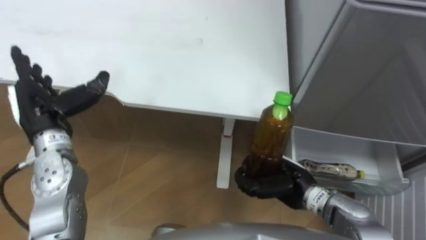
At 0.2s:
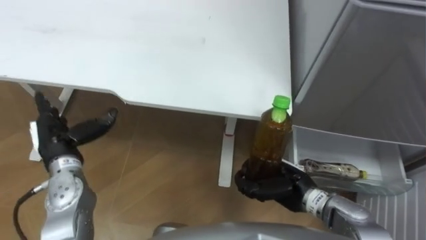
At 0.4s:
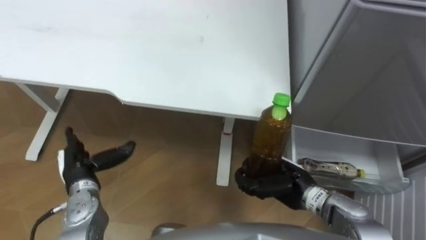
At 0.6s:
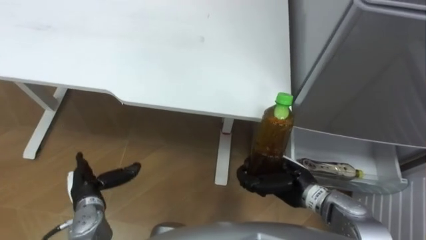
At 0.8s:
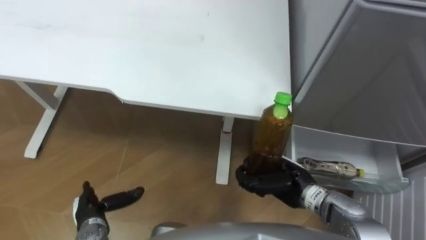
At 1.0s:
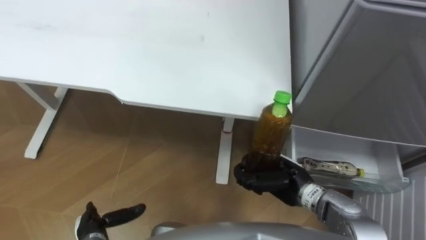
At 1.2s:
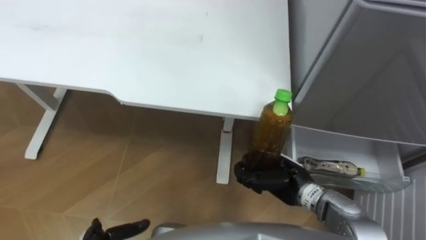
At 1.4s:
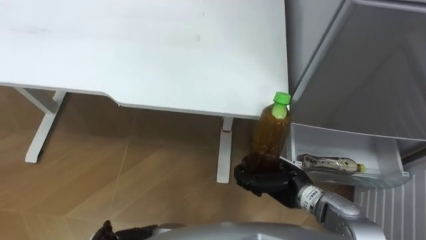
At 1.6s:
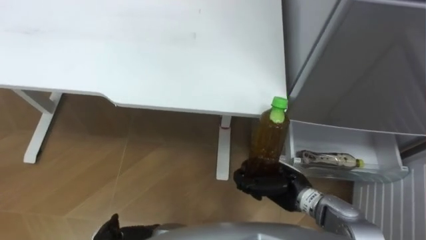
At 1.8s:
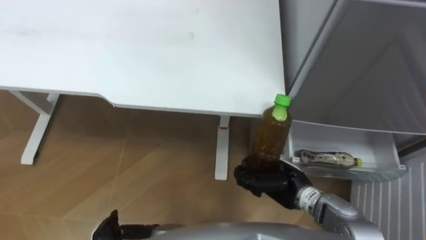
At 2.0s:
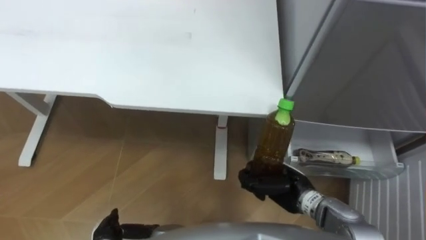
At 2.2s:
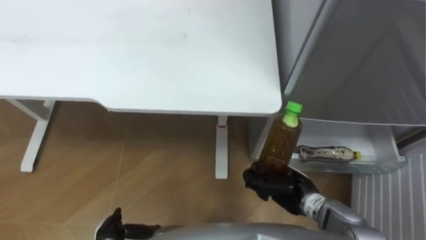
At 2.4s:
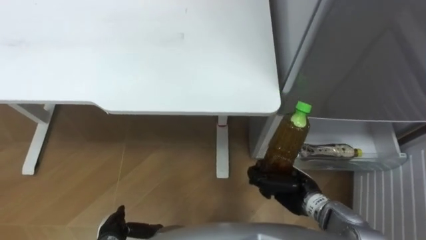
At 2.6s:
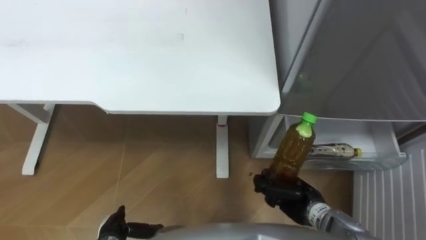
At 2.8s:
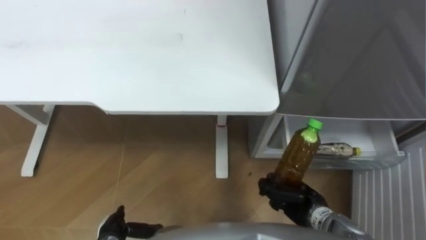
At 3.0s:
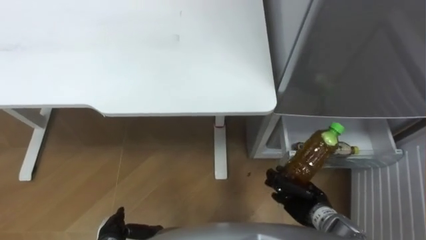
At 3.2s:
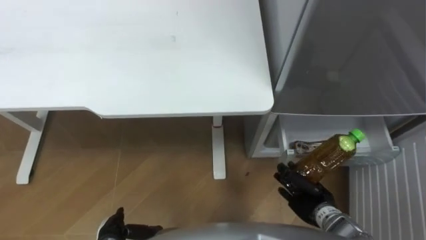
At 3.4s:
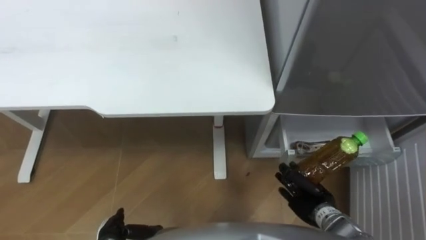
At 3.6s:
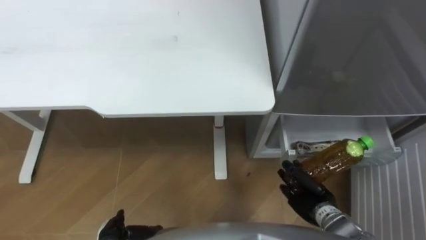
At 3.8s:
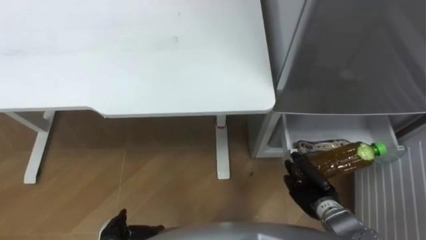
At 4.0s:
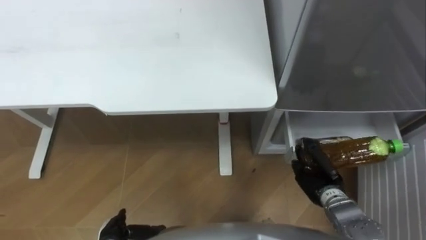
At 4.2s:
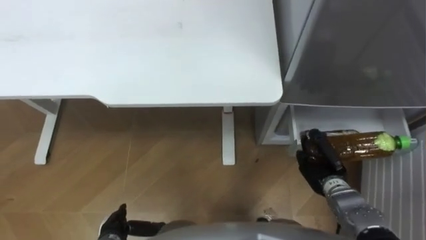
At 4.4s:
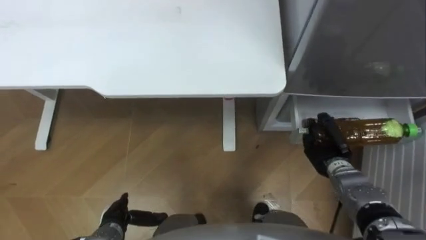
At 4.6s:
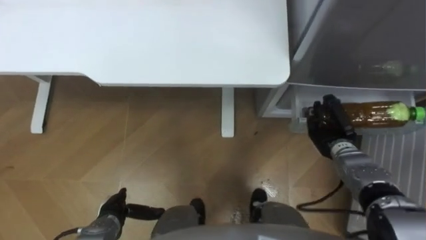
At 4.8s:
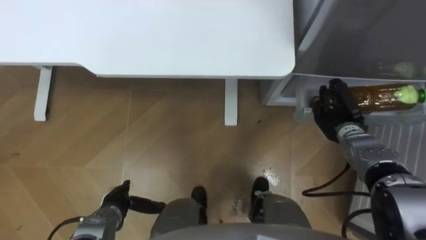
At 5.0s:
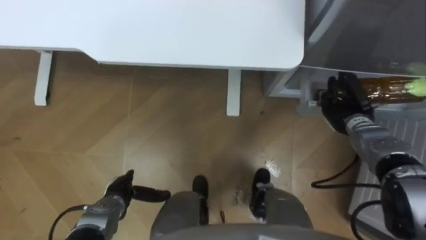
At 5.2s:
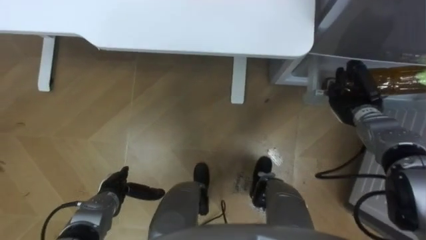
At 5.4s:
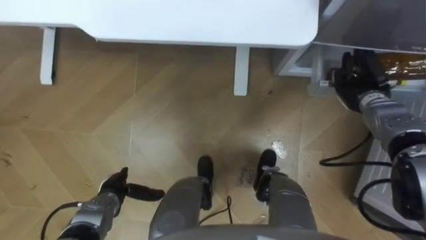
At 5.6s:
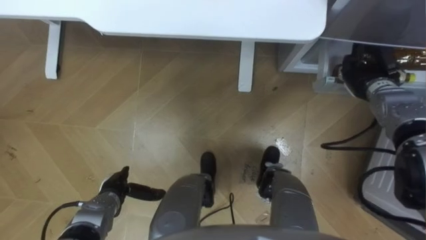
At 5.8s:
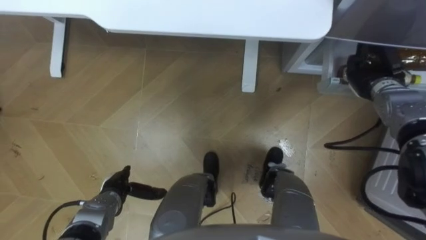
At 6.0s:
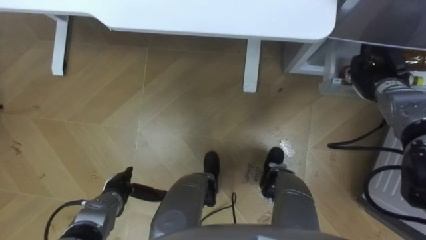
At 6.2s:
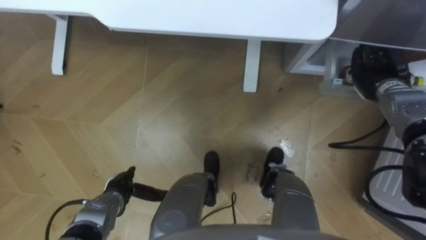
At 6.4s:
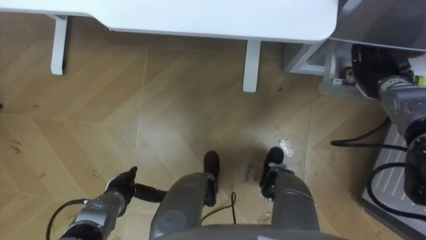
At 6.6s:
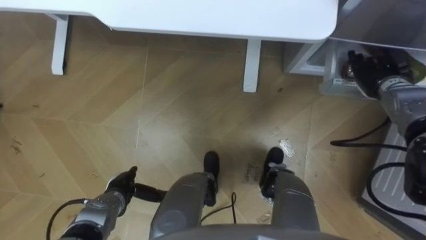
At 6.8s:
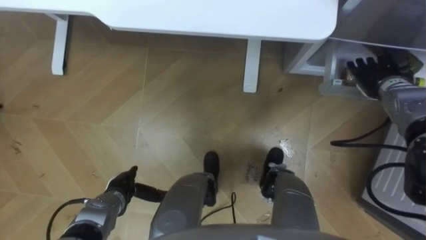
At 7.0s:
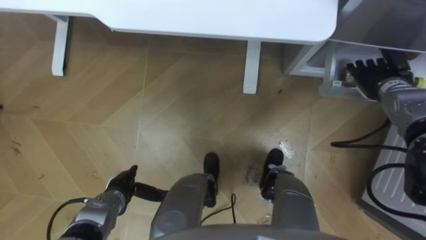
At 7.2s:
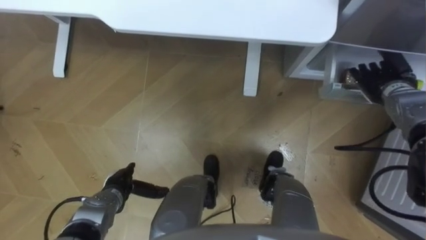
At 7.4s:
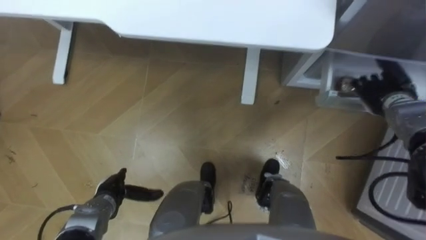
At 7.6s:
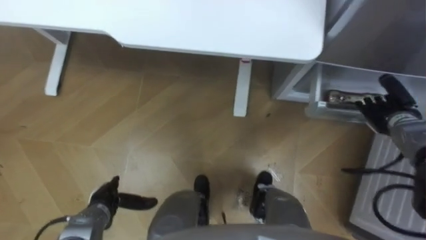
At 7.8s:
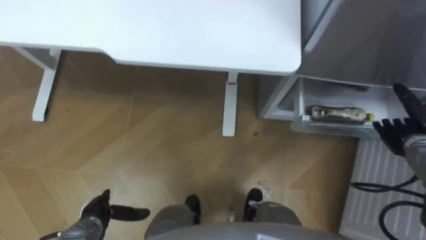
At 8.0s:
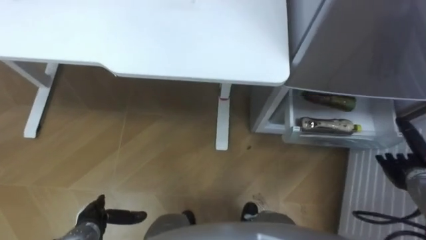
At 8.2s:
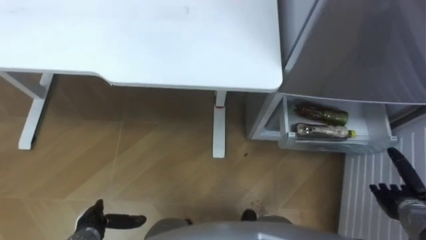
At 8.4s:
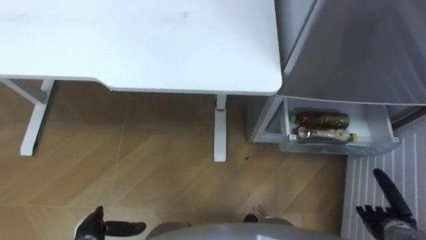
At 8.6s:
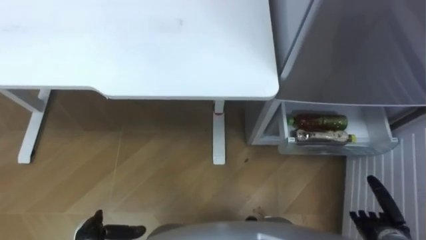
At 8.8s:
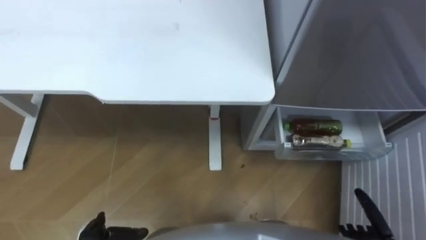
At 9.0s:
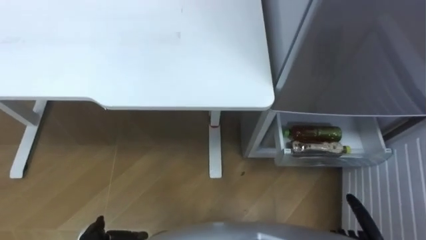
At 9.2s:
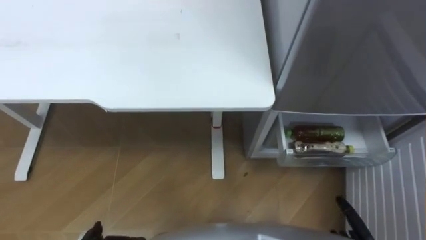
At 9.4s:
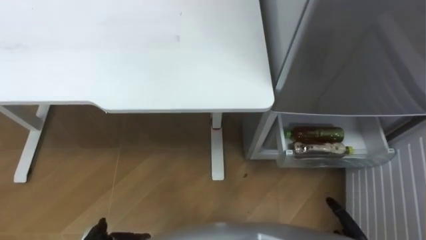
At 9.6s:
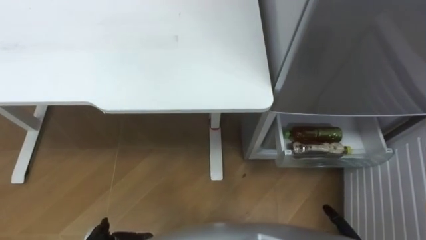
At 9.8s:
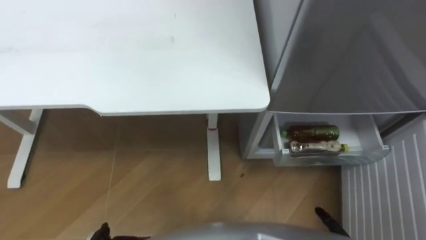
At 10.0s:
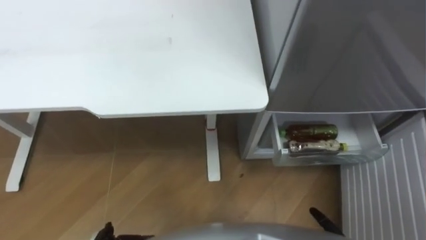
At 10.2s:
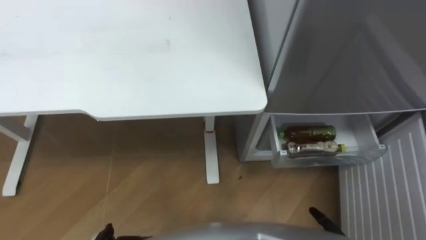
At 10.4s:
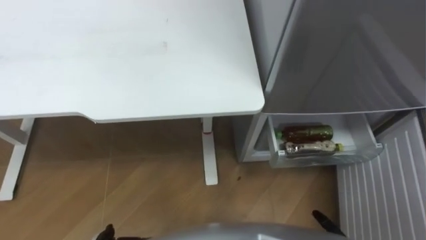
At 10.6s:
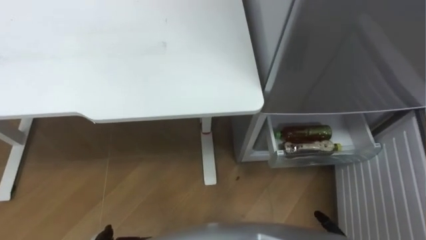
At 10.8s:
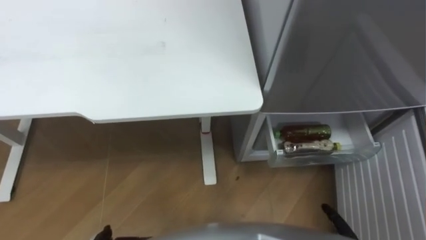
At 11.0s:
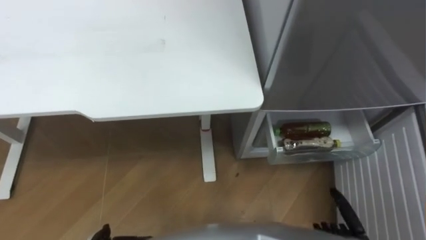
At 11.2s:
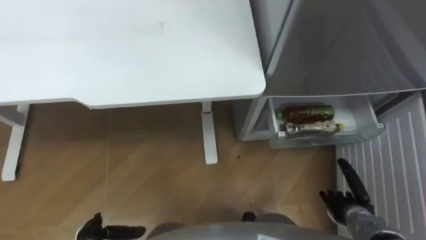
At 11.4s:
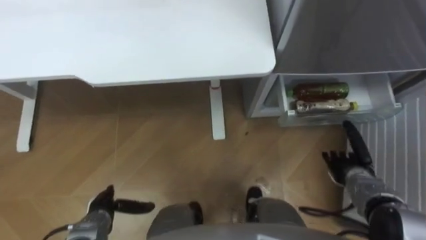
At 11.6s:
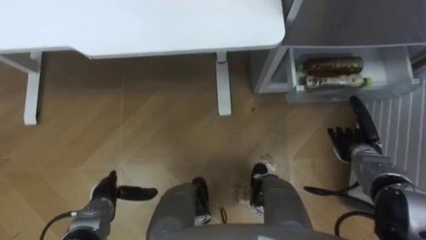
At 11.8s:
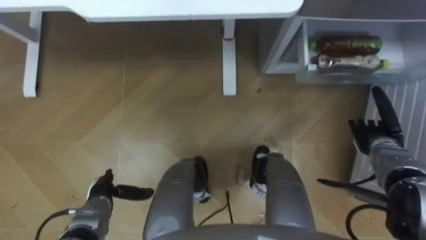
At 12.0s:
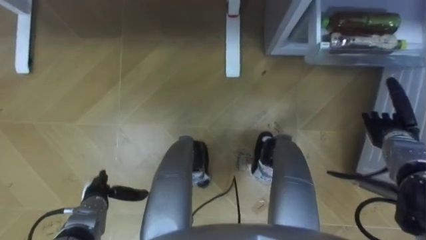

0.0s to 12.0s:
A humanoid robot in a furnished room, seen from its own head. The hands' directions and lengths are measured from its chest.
Task of the whole recording: Place the drink on the table on the bottom shelf of the refrigerator, then close the drawer and the refrigerator door.
1.6s to 3.0s: The right hand heads to the right, covering approximately 5 cm.
3.0s to 4.4s: The right hand goes some 10 cm forward and to the right.
4.4s to 6.0s: The left hand travels forward by approximately 5 cm. Meanwhile the right hand is displaced forward, upward and to the right by roughly 20 cm.
6.0s to 7.6s: The right hand shifts by about 5 cm, and opens up.

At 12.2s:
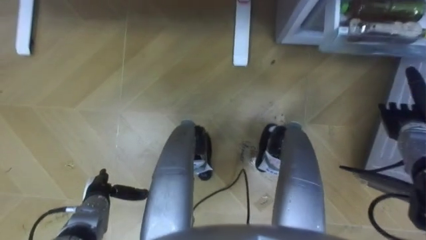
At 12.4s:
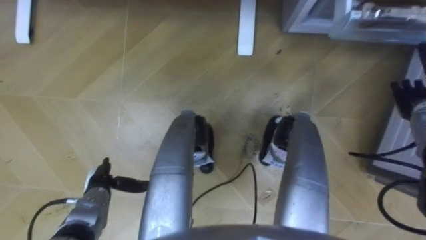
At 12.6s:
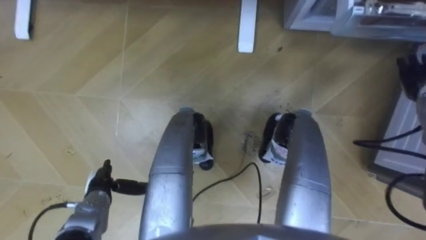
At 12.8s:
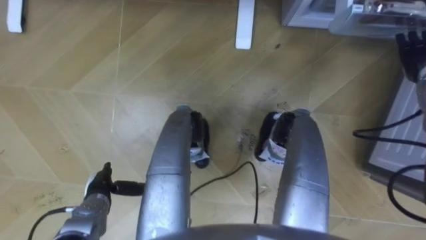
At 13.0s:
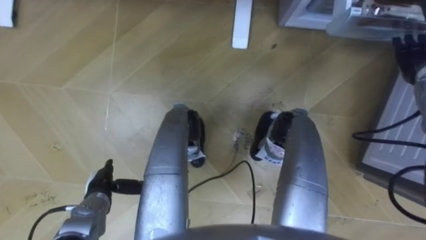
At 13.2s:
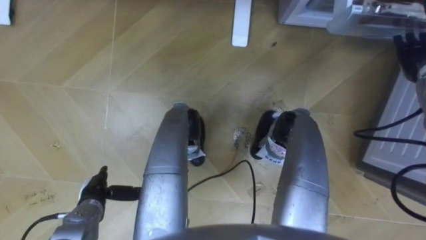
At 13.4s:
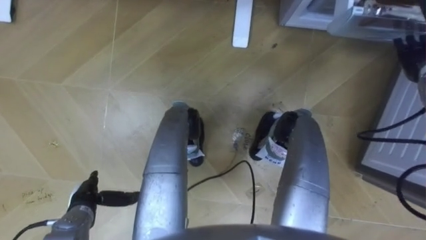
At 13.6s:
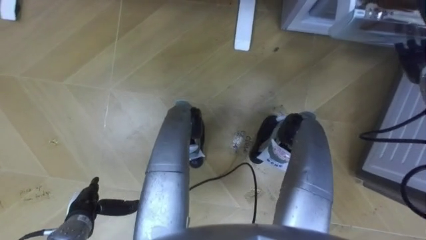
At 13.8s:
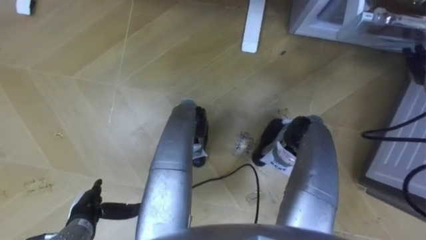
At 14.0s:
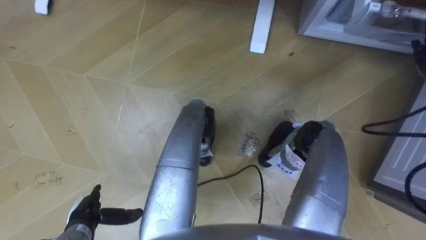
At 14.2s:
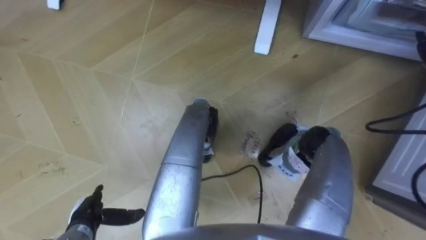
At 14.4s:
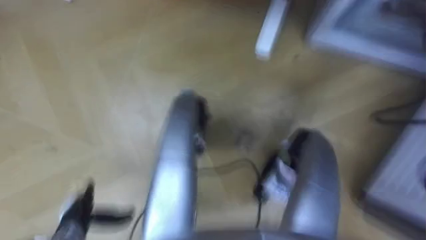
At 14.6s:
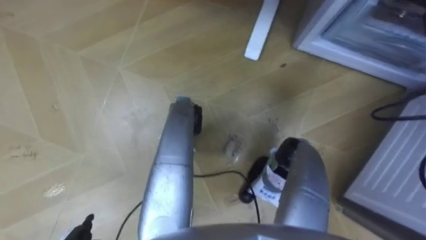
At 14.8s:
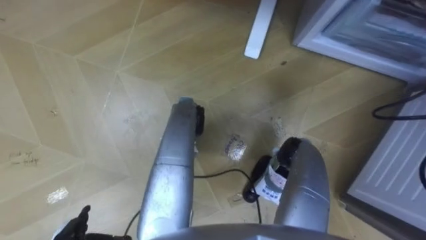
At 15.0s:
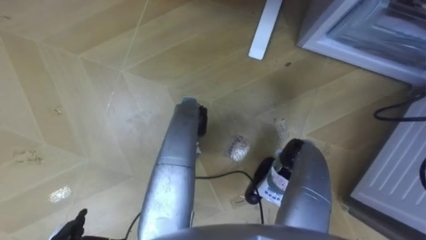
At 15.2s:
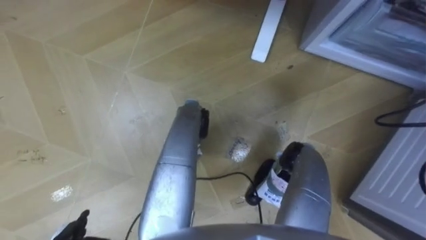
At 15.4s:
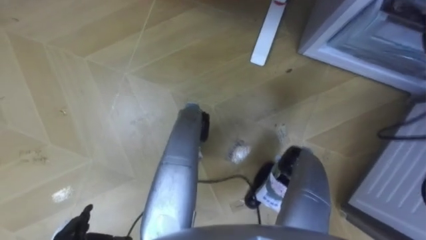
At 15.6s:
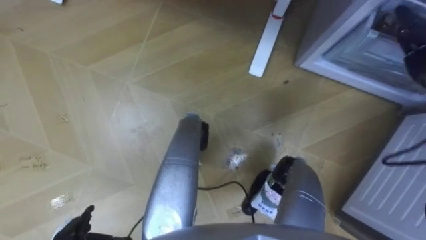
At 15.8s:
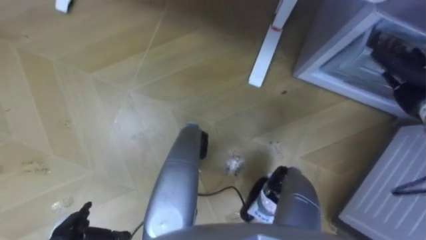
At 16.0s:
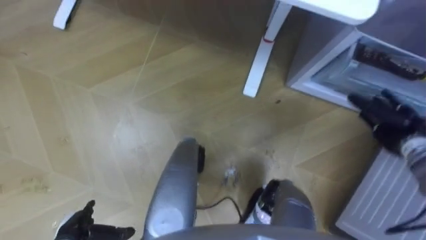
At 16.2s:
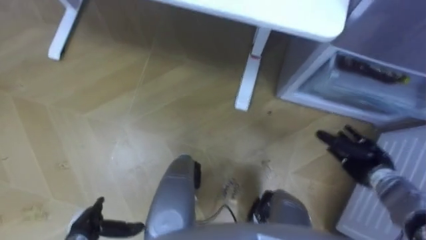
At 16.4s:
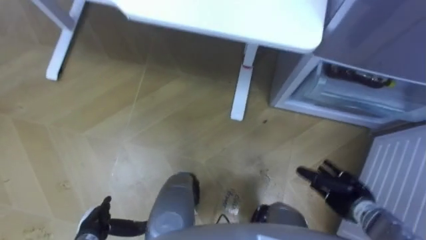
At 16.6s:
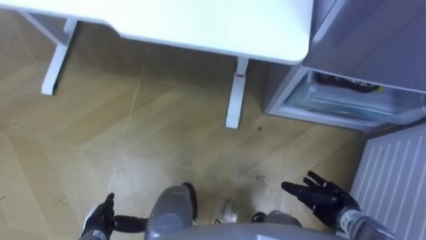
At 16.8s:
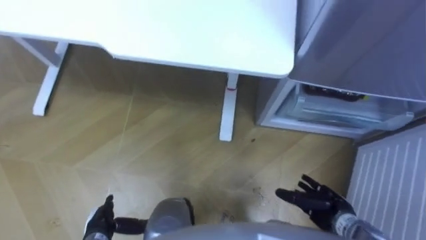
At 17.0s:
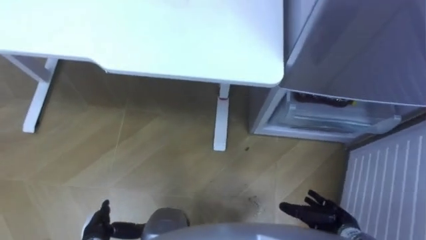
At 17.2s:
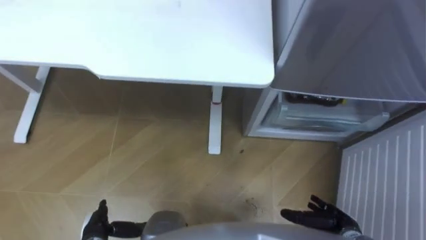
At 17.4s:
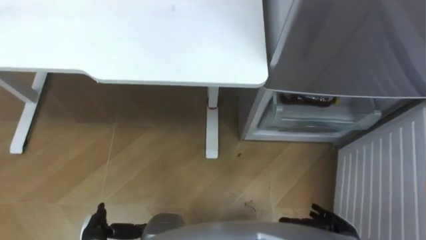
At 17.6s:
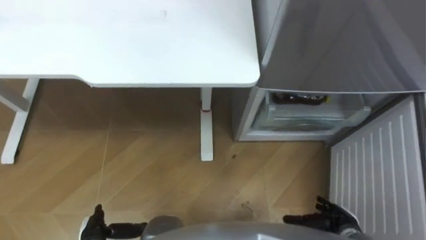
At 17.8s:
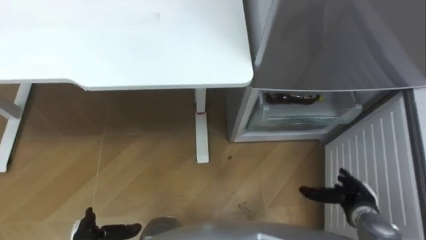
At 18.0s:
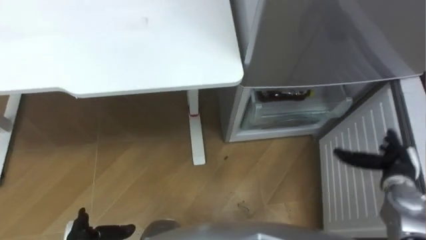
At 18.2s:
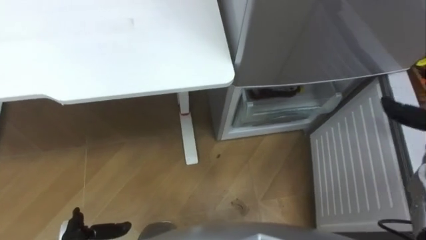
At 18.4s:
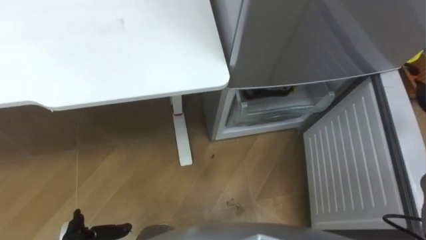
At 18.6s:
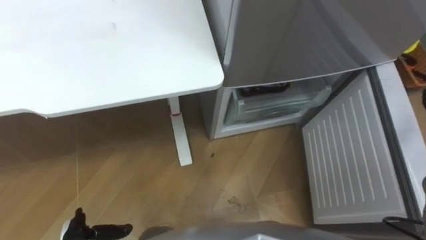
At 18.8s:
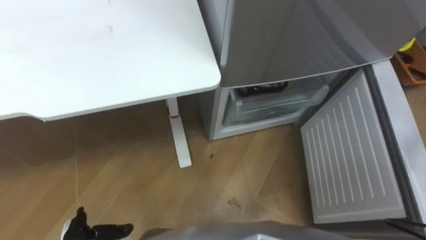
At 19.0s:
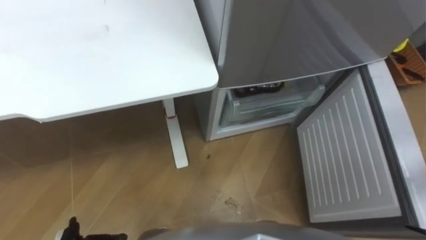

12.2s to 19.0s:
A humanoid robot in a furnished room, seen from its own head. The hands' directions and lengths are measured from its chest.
Task of the whole recording: Place the drink on the table on the bottom shelf of the refrigerator, then close the drawer and the refrigerator door.
12.2s to 13.6s: The right hand heads upward and forward, covering about 15 cm.
16.2s to 17.6s: The right hand goes roughly 20 cm backward, downward and to the left.
